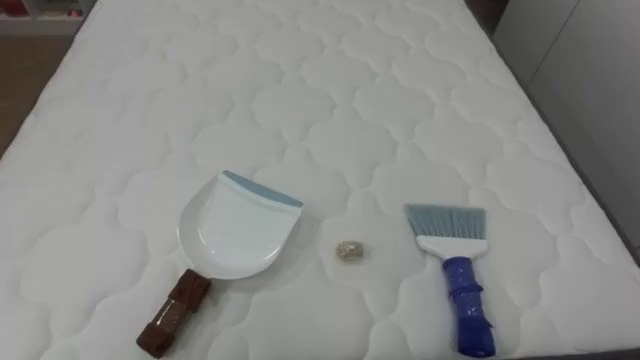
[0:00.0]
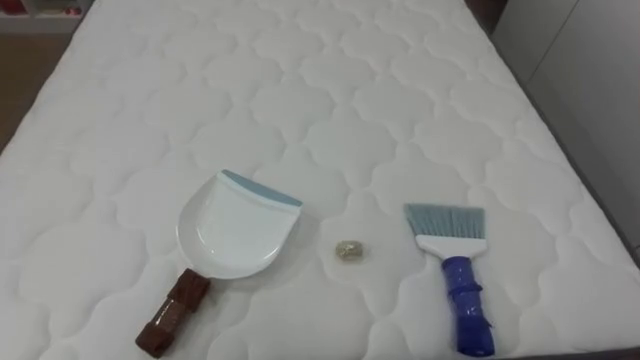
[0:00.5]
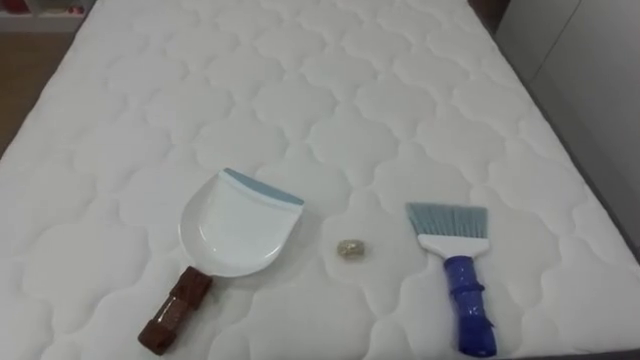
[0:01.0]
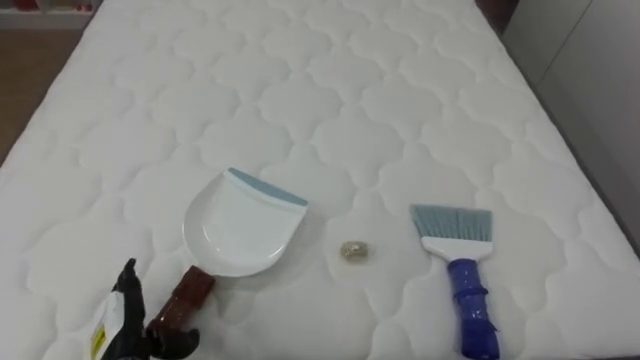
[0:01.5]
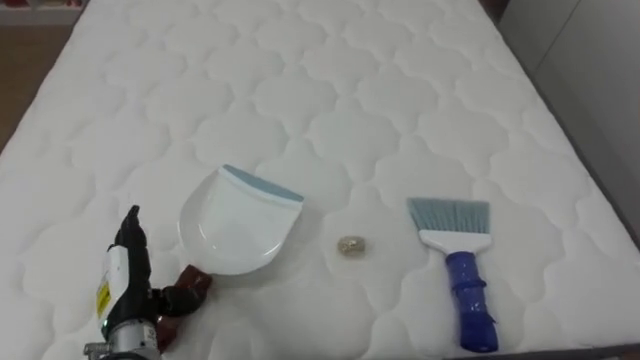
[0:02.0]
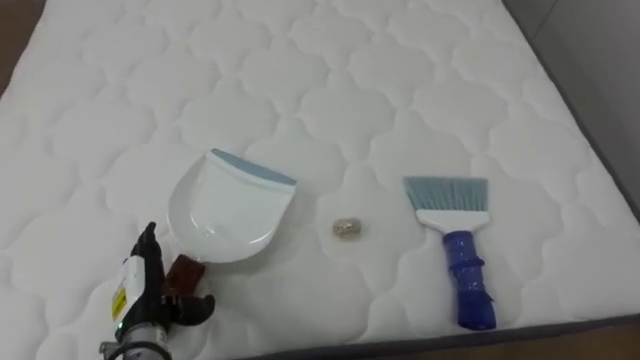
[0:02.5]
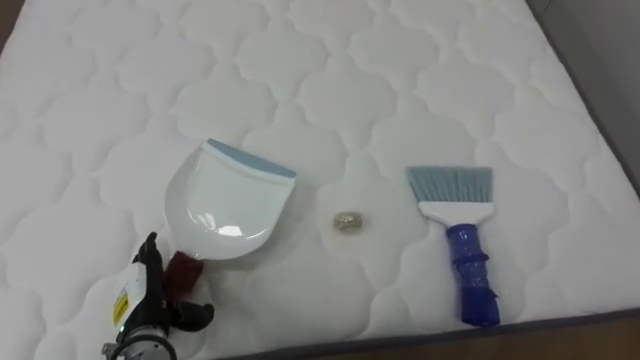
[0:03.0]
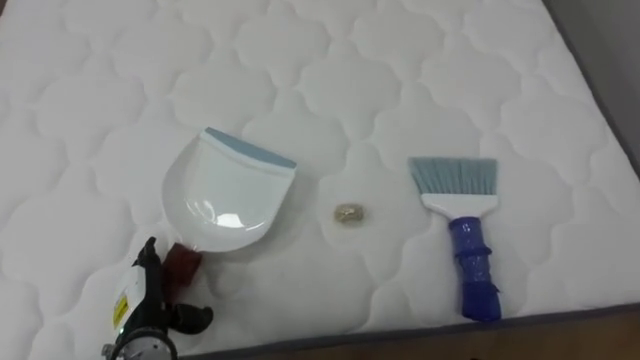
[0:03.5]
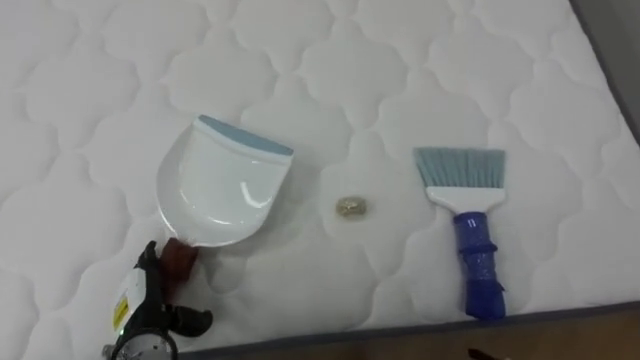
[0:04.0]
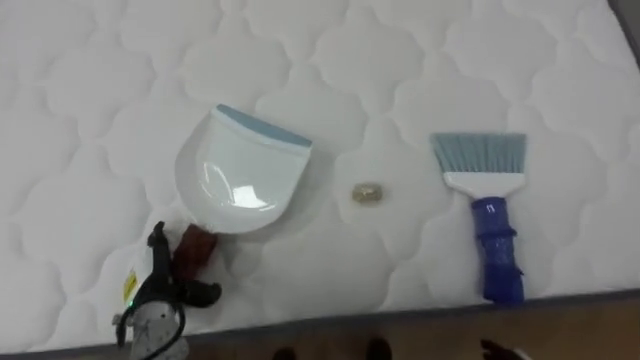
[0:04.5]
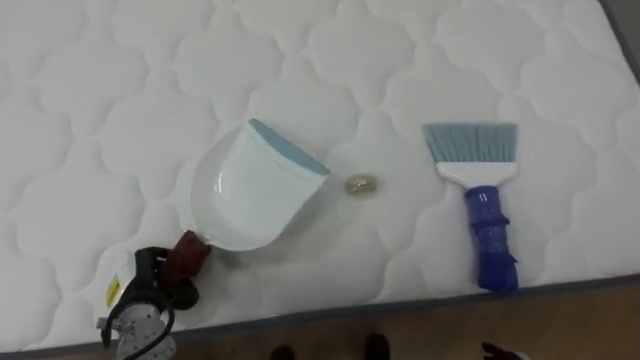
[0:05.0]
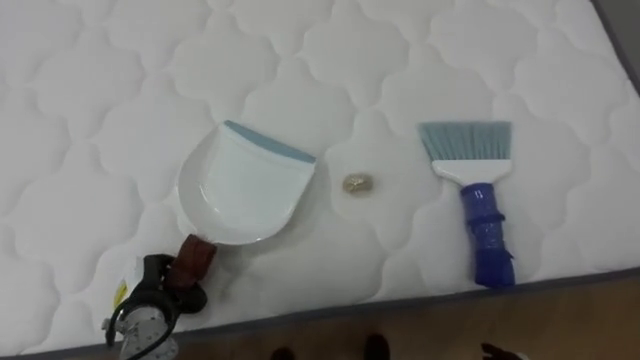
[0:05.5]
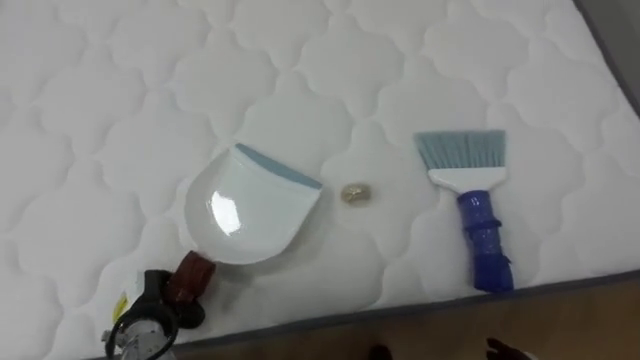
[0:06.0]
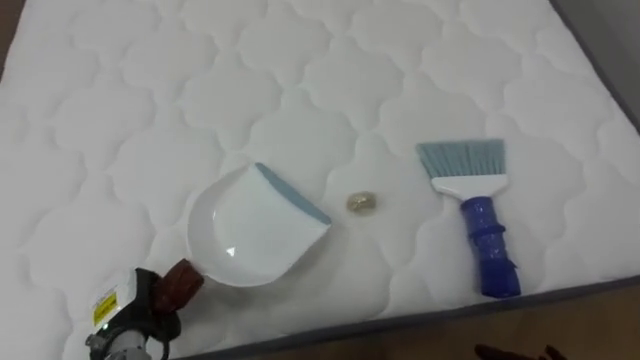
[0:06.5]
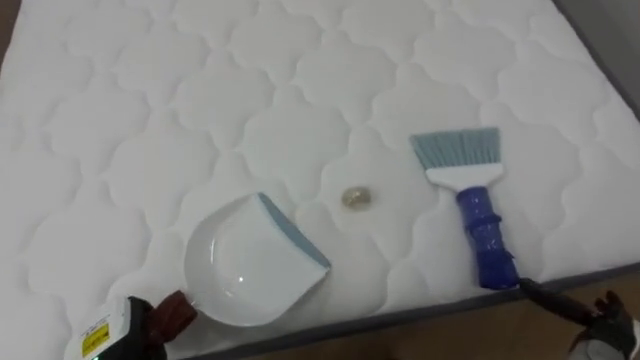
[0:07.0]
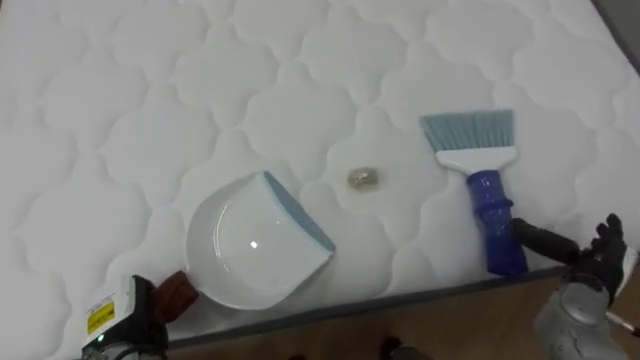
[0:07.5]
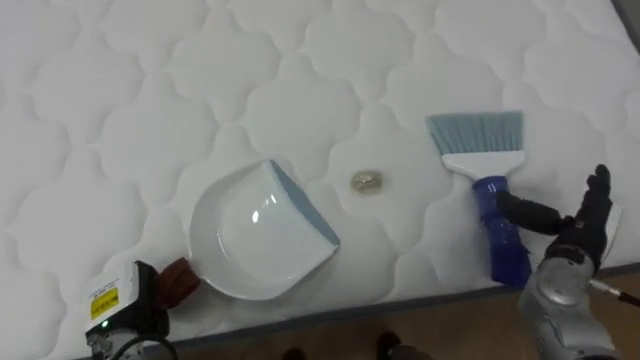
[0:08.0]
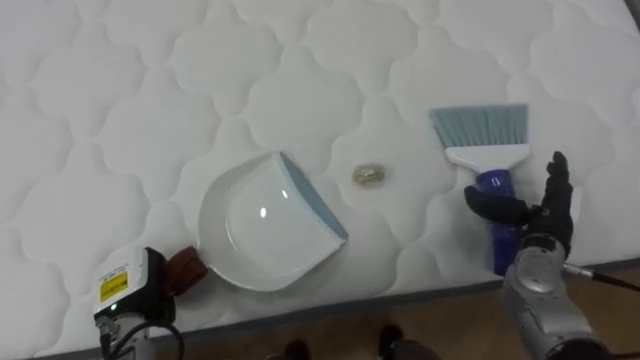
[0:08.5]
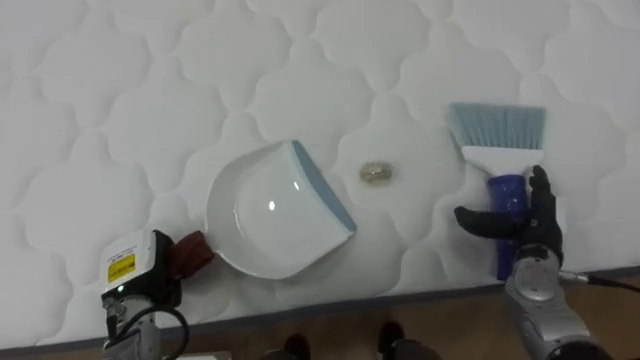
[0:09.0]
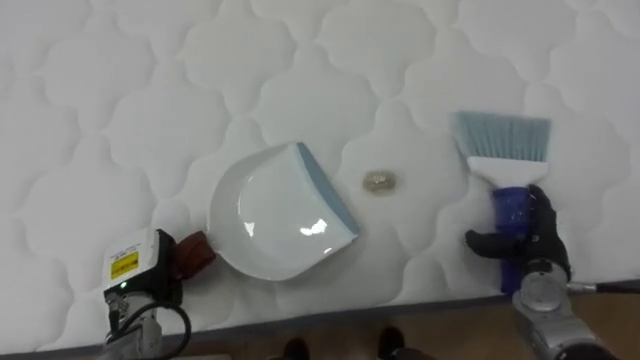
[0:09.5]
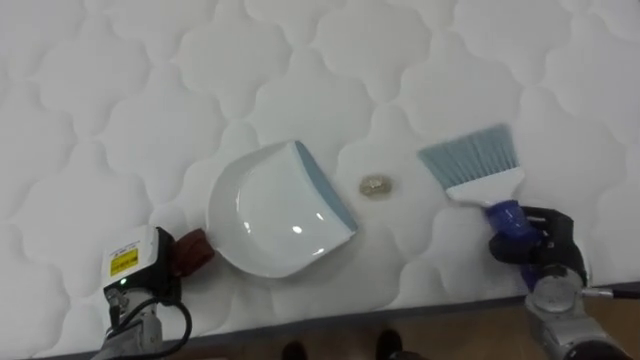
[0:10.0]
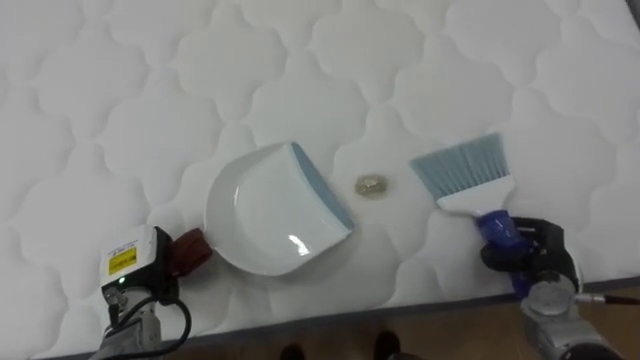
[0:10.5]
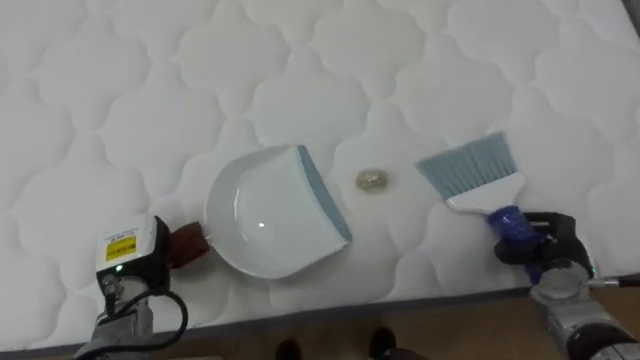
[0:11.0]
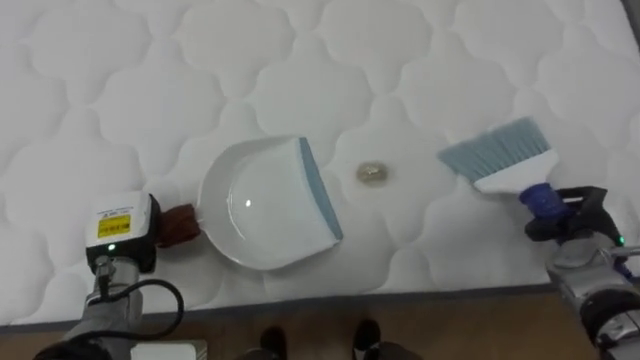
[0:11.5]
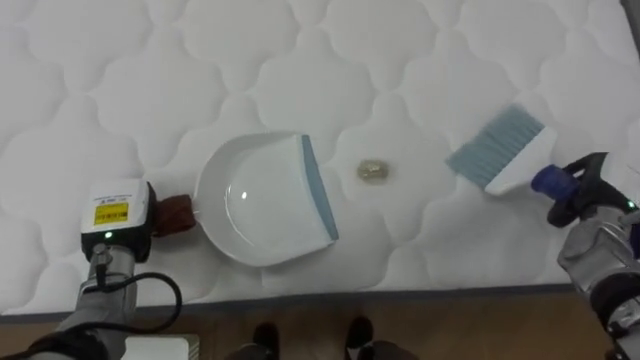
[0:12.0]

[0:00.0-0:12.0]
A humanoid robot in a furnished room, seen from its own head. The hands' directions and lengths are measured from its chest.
Task of the whole recording: Pick up the brush on your right and the dustpan on your left. Use the brush to sweep the crumpled paper on the bed into the dustpan, then turn left and empty it into the basket.
0:02.0 to 0:04.0: The left hand is displaced downward by approximately 5 cm.
0:04.0 to 0:06.0: The left hand closes its fingers.
0:08.0 to 0:10.0: The right hand moves downward, about 5 cm, and closes up. Meanwhile the left hand changes place by roughly 5 cm.
0:10.0 to 0:12.0: The left hand heads upward, covering about 5 cm. Meanwhile the right hand moves upward and forward, roughly 10 cm.

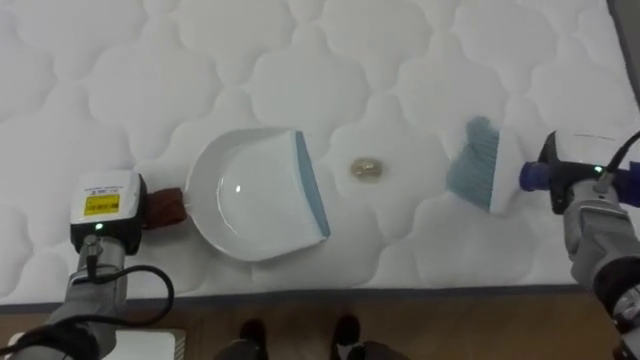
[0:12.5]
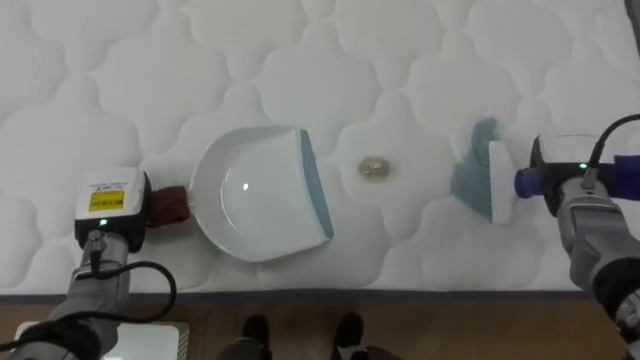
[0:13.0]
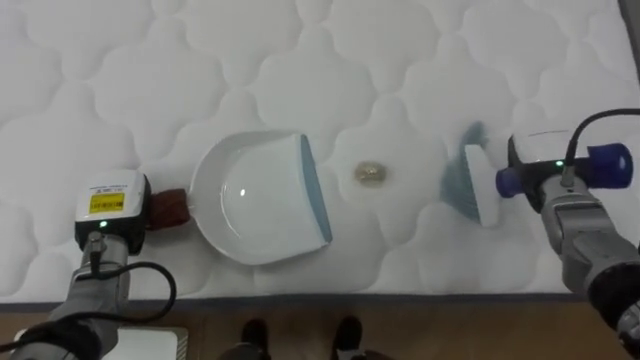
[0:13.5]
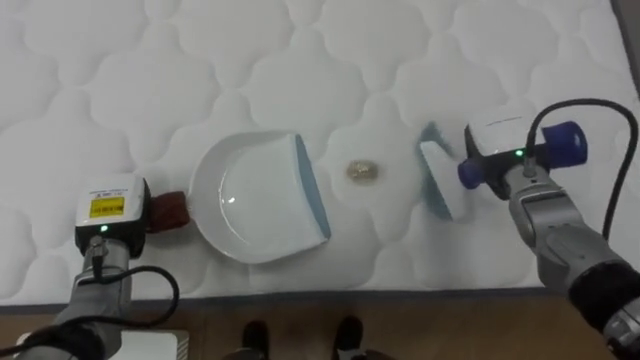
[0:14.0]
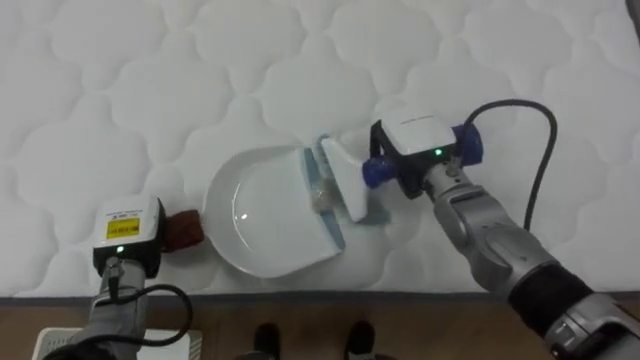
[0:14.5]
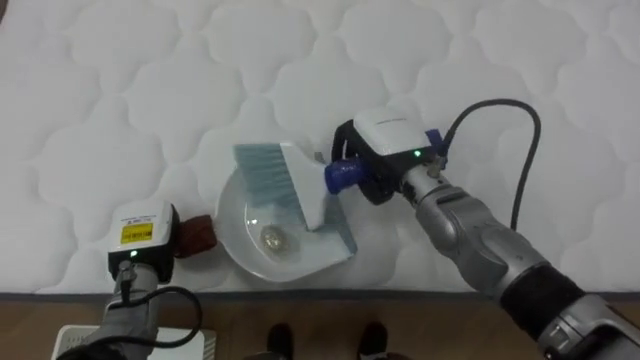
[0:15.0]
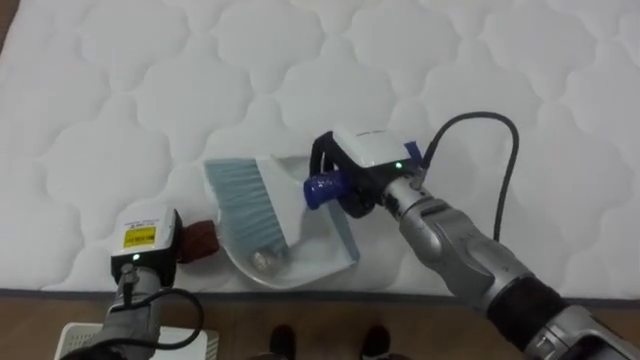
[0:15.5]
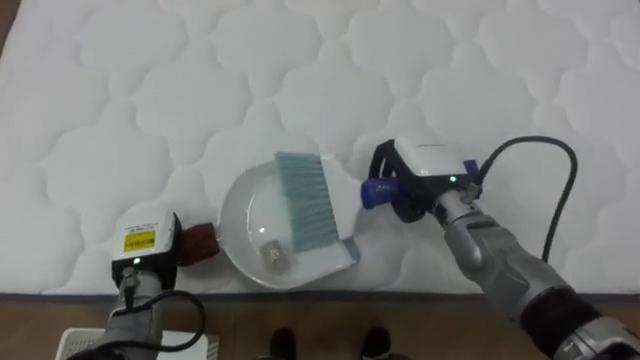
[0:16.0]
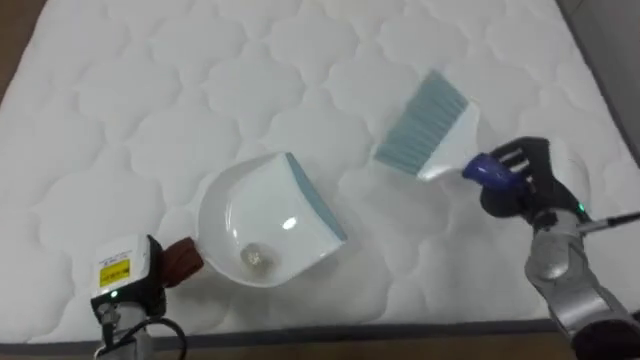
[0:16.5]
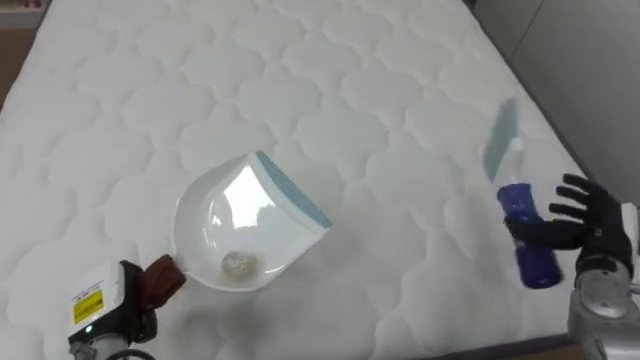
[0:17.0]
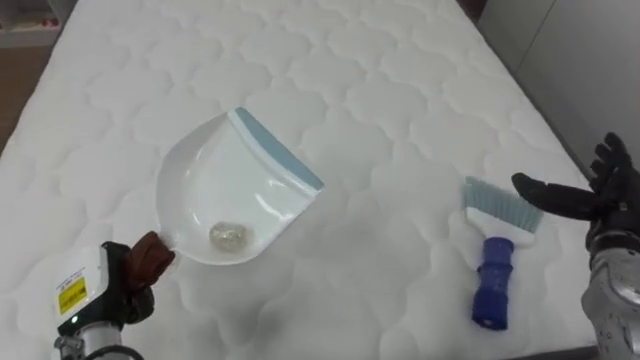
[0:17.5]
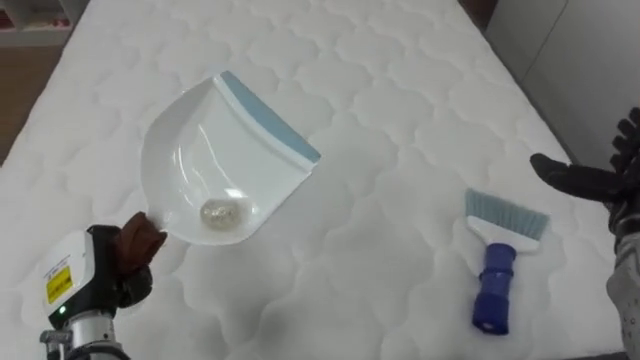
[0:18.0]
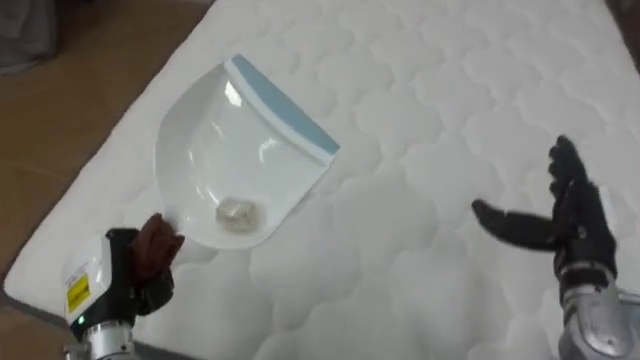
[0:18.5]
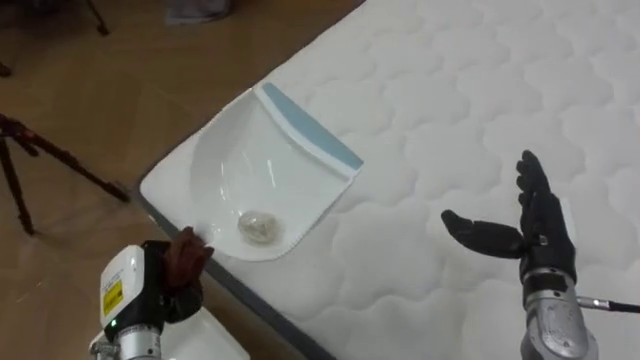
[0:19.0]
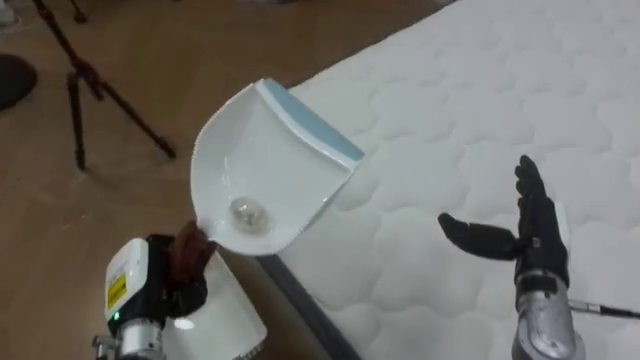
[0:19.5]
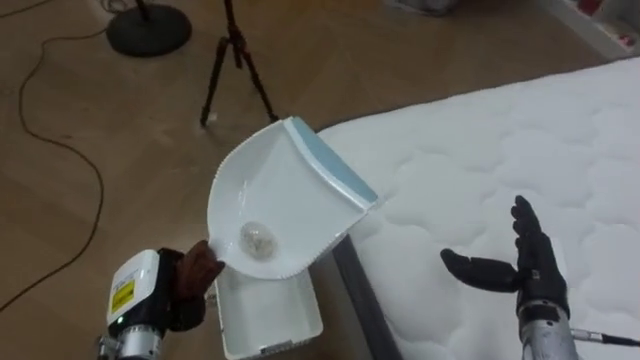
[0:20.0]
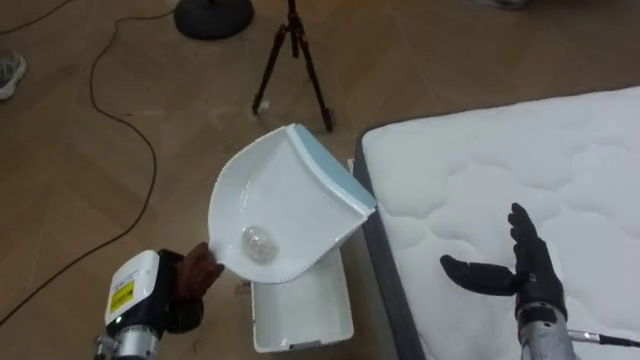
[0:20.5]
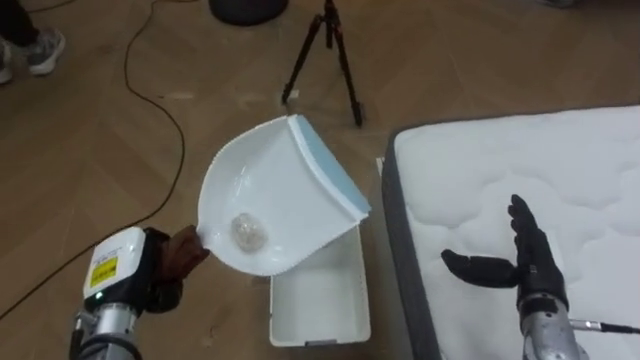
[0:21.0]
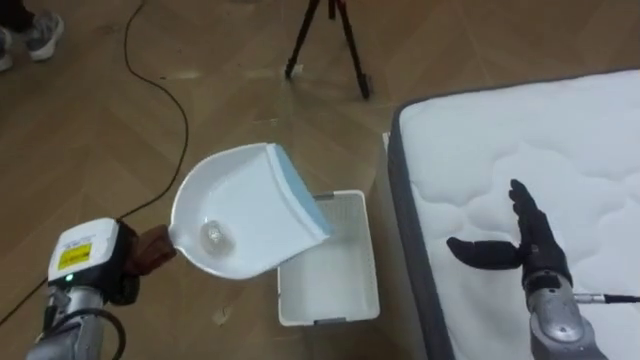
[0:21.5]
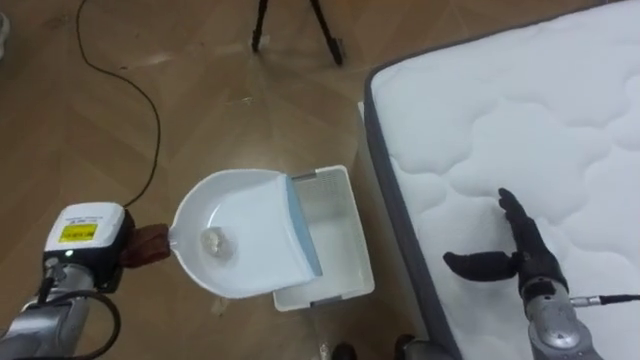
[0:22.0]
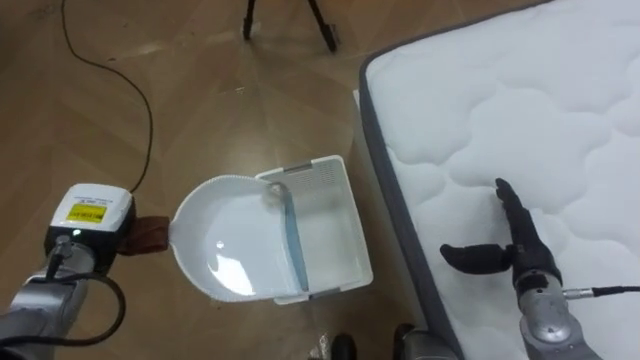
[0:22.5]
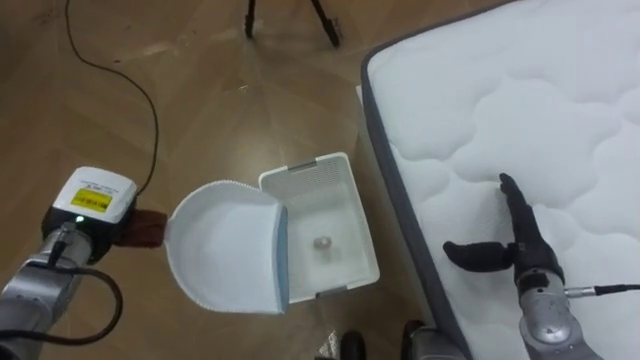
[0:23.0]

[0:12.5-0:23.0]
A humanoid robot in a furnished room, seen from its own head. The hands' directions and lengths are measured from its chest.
Task of the whole recording: Pick up the brush on your right and the dustpan on your left. Use the brush to sweep the crumpled paper on the bed into the dustpan, then turn left and empty it into the basket.
0:12.5 to 0:14.5: The right hand is displaced to the left by some 20 cm.
0:14.5 to 0:16.5: The right hand goes roughly 15 cm to the right, while the left hand shifts by about 5 cm.
0:16.5 to 0:19.0: The robot's body swings roughly 40 degrees to its left. The left hand moves some 5 cm, while the right hand goes roughly 10 cm backward, moves roughly 10 cm to the right and comes back, and opens up.
0:19.0 to 0:21.0: The robot faces approximately 50 degrees further to its left. The right hand is displaced downward by roughly 5 cm.
0:21.0 to 0:23.0: The left hand heads forward, covering about 5 cm.
